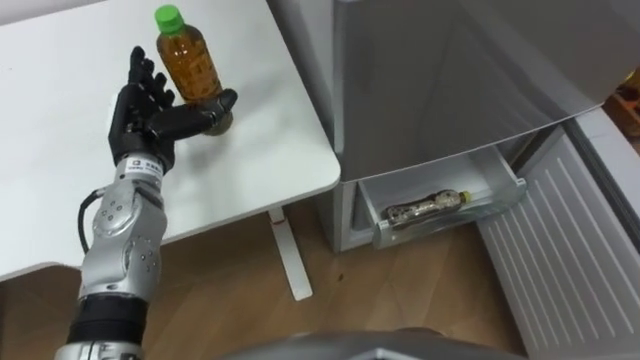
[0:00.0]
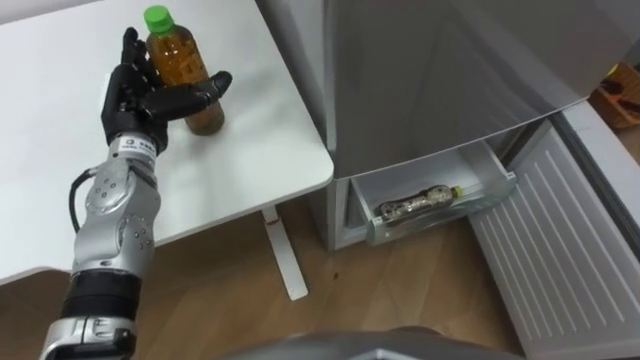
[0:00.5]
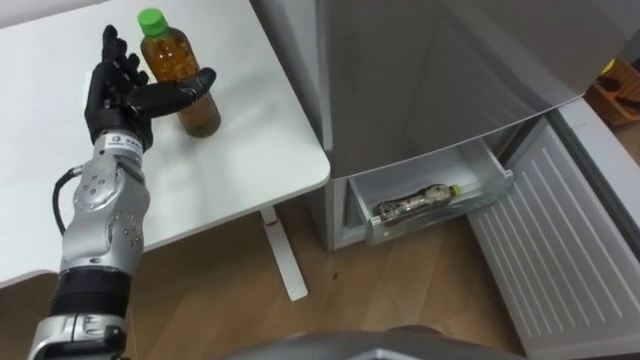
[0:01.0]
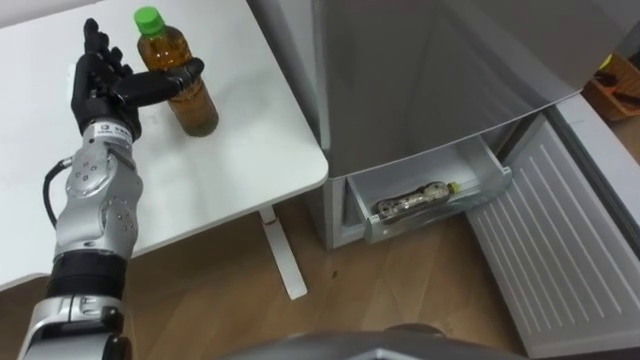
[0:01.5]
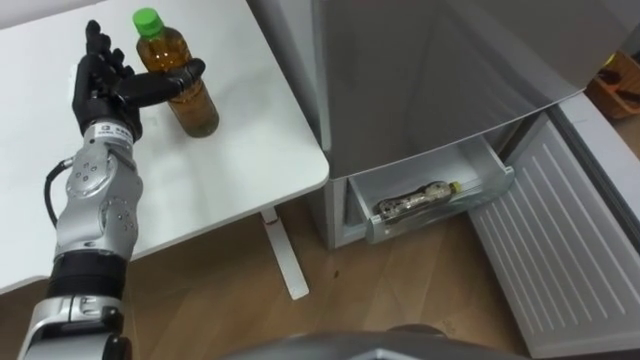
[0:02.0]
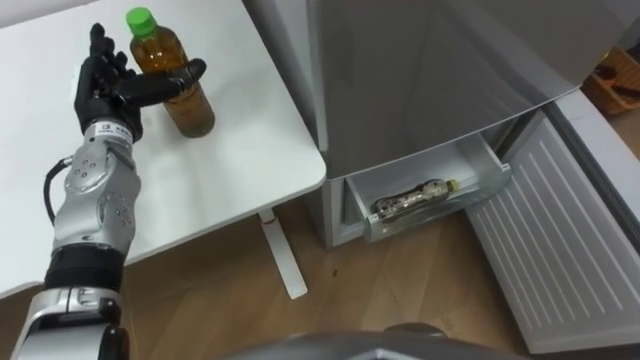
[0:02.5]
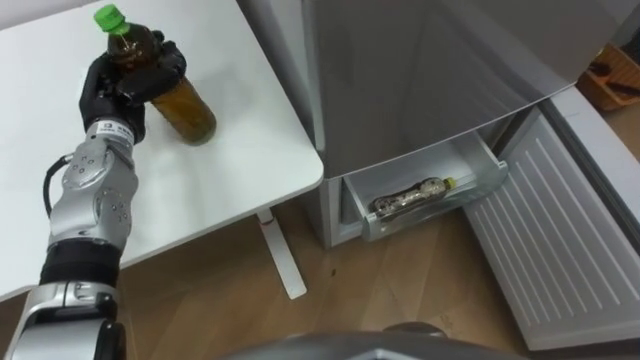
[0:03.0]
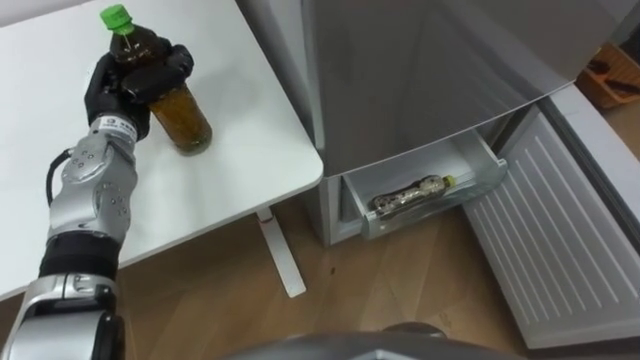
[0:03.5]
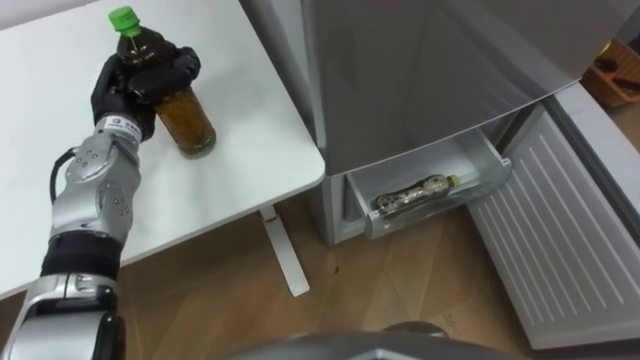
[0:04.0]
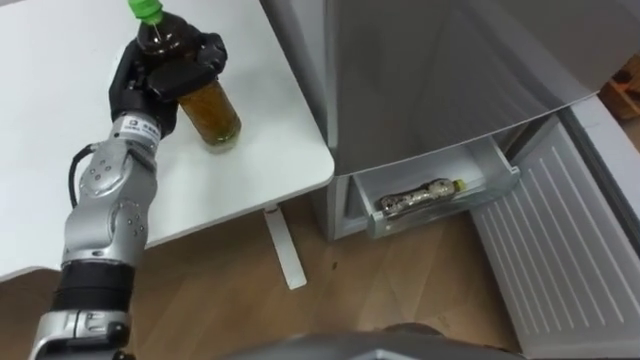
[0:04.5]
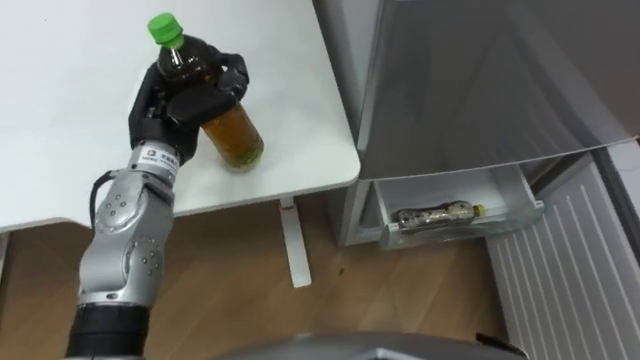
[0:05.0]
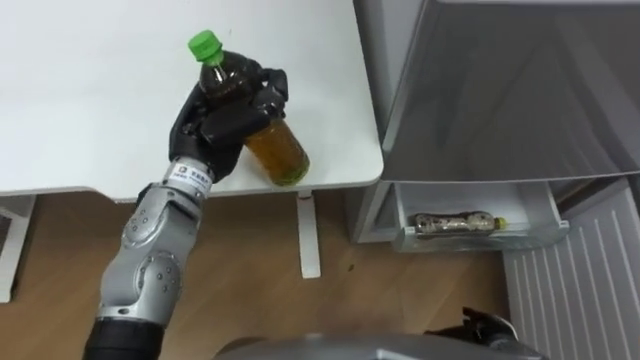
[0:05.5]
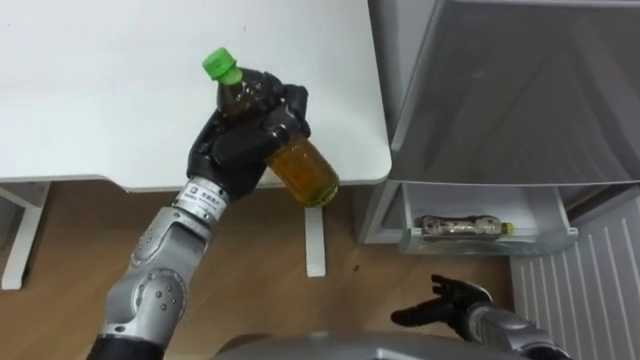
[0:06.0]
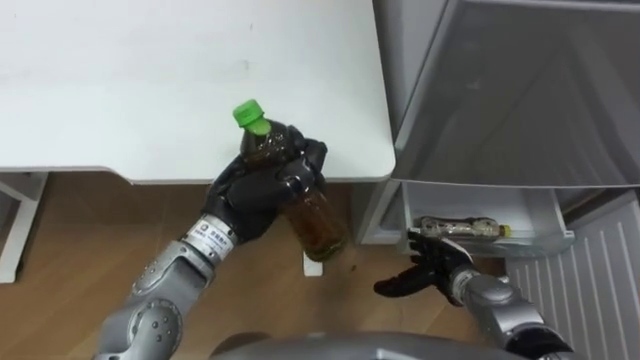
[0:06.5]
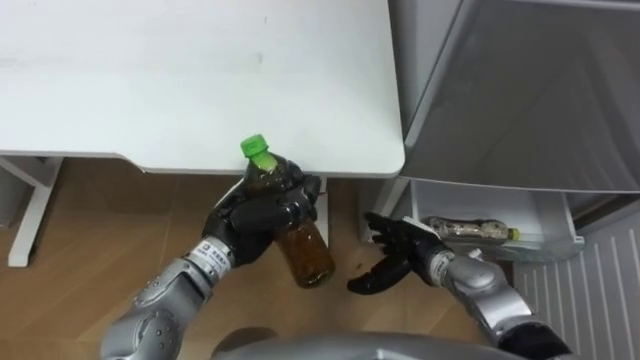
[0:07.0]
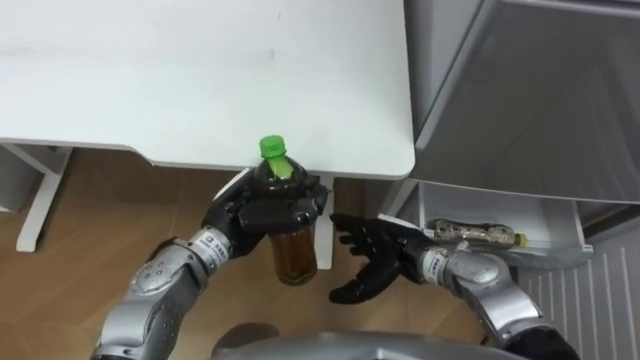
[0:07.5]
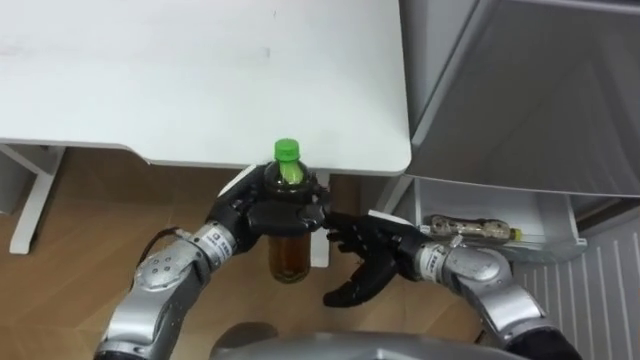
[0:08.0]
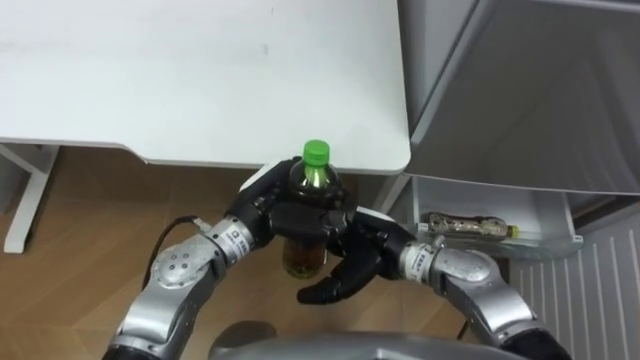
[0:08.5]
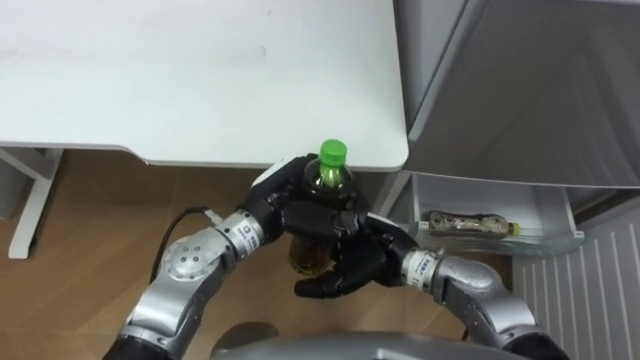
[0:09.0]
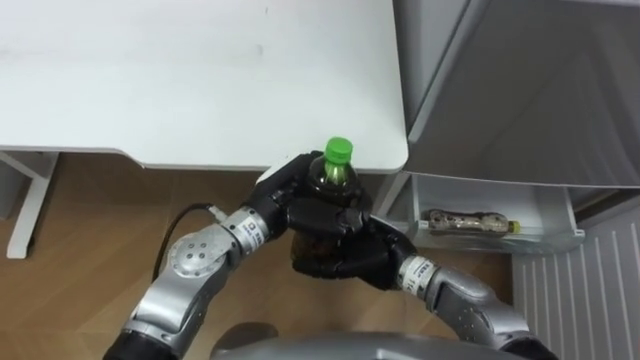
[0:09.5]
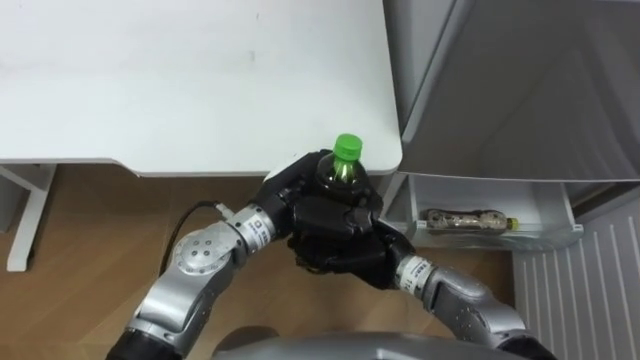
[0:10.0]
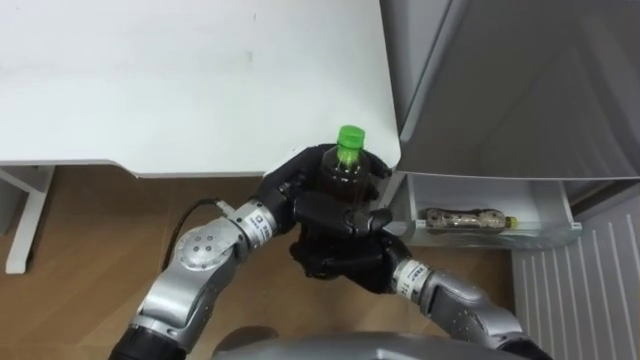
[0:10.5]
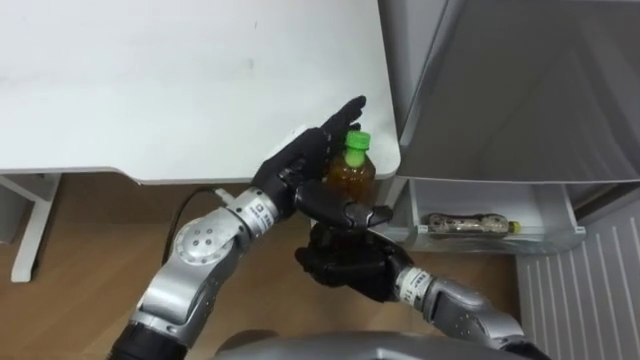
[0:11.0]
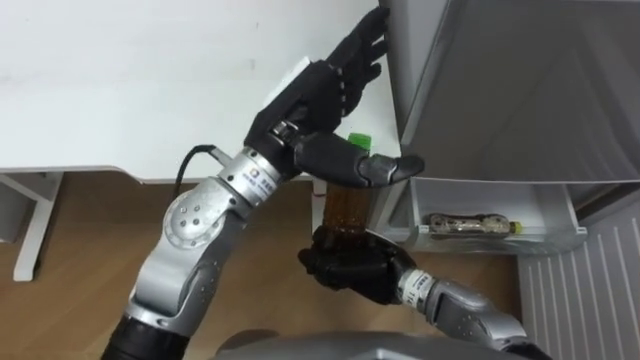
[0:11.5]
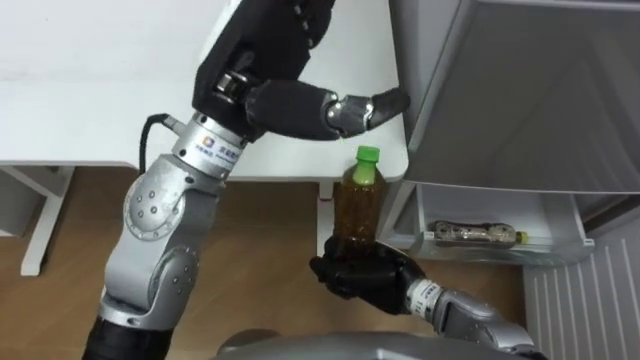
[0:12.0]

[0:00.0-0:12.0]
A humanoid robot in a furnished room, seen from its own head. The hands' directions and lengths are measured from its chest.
Task of the whole recording: Place the drink on the table on the bottom shelf of the refrigerator, then close the drawer and the refrigerator door.
0:00.0 to 0:02.0: The left hand moves approximately 5 cm.
0:02.0 to 0:04.0: The left hand closes its fingers.
0:04.0 to 0:06.0: The left hand is displaced to the right and backward by about 15 cm.
0:06.0 to 0:08.0: The right hand goes some 20 cm to the left, upward and forward; the left hand travels downward by approximately 10 cm.
0:08.0 to 0:10.0: The right hand closes up, while the left hand moves to the right, about 5 cm.
0:10.0 to 0:12.0: The left hand goes some 20 cm upward, and opens.

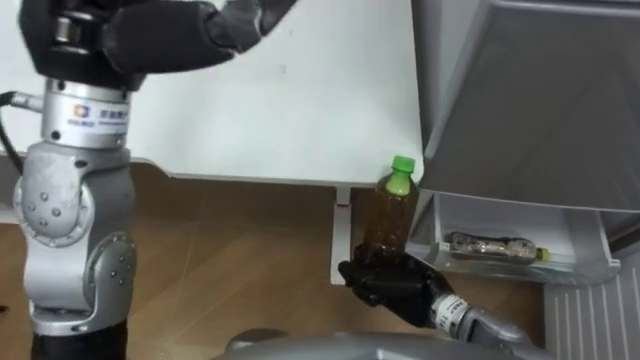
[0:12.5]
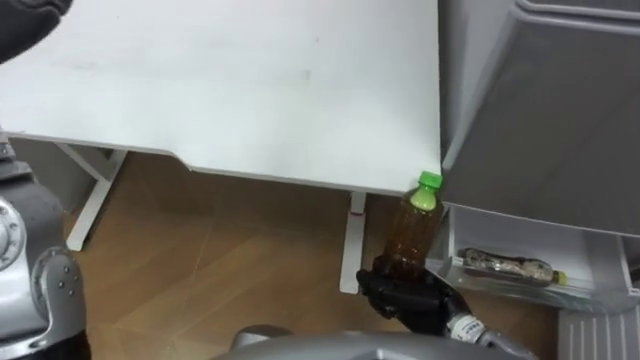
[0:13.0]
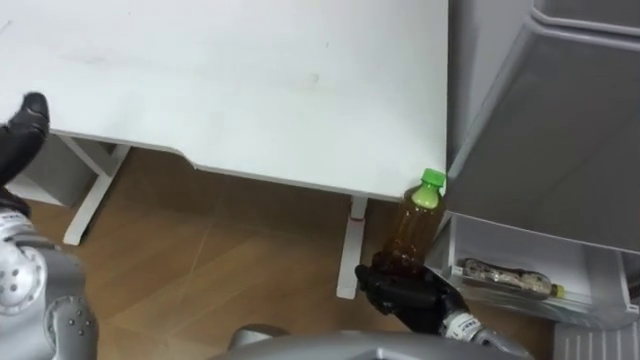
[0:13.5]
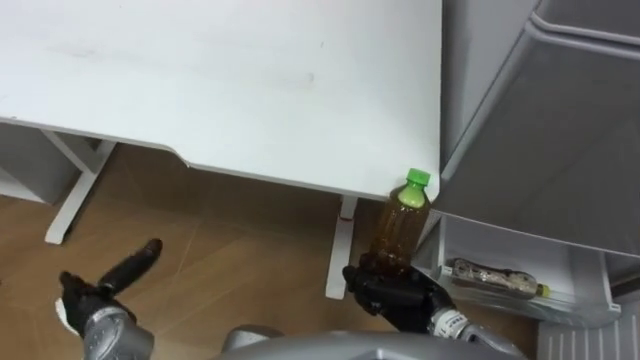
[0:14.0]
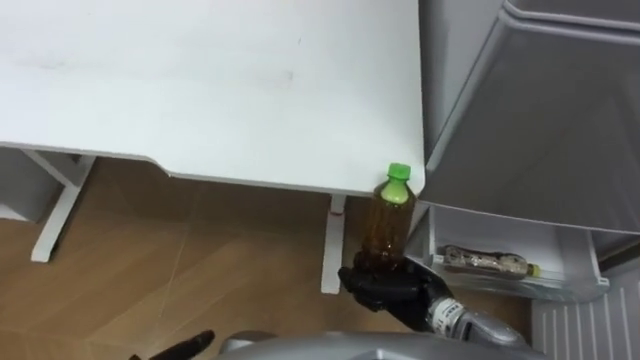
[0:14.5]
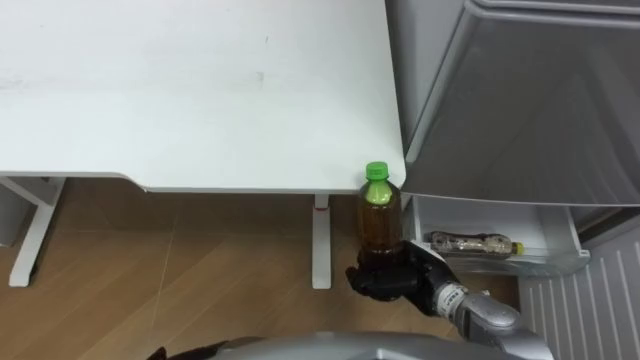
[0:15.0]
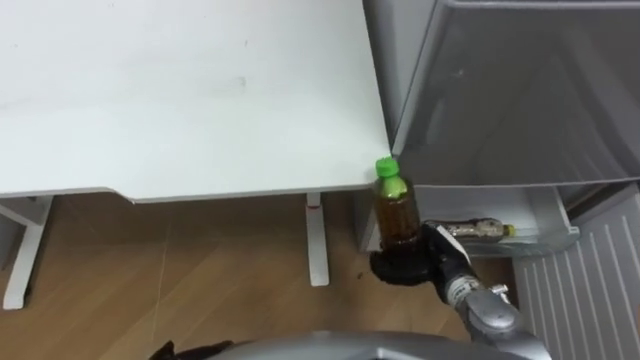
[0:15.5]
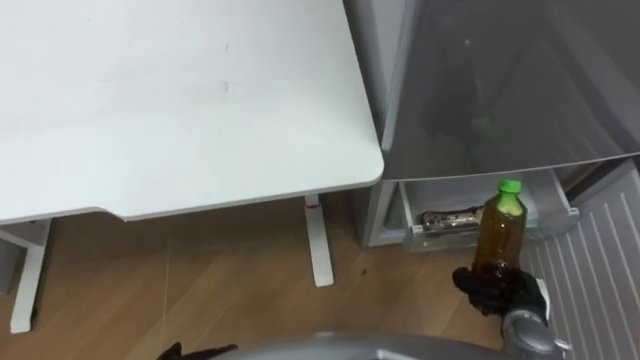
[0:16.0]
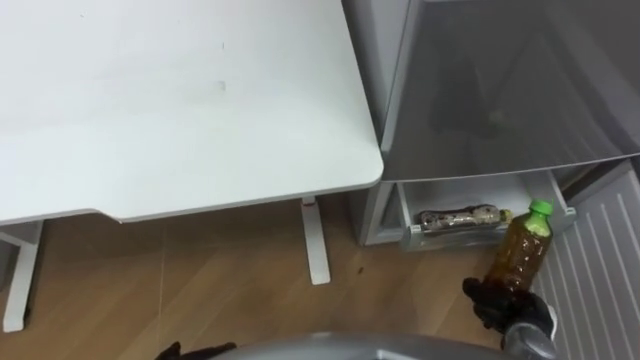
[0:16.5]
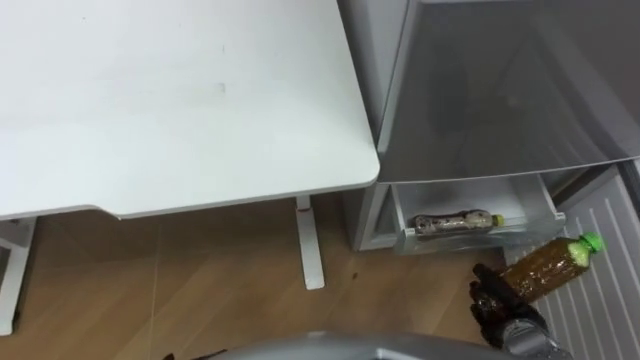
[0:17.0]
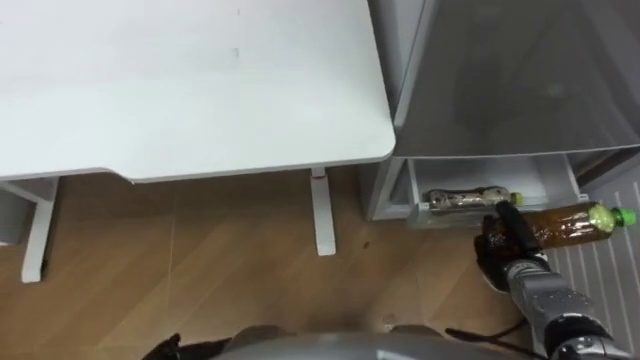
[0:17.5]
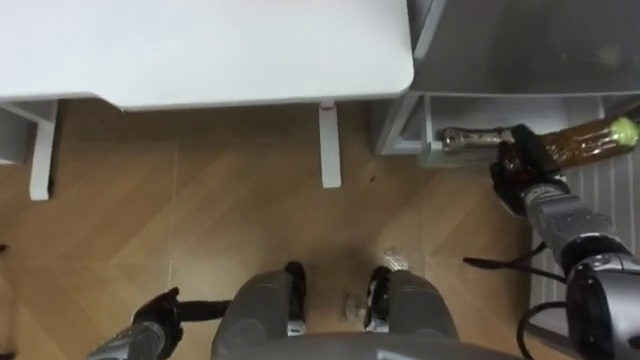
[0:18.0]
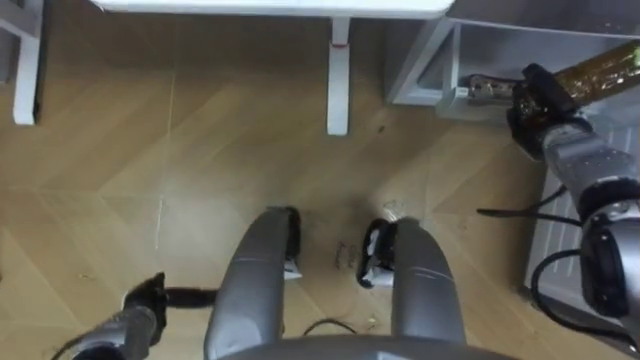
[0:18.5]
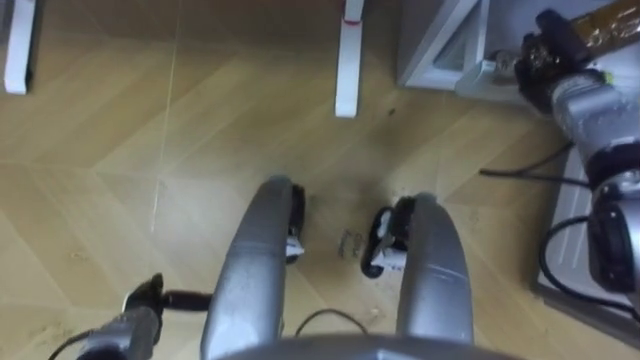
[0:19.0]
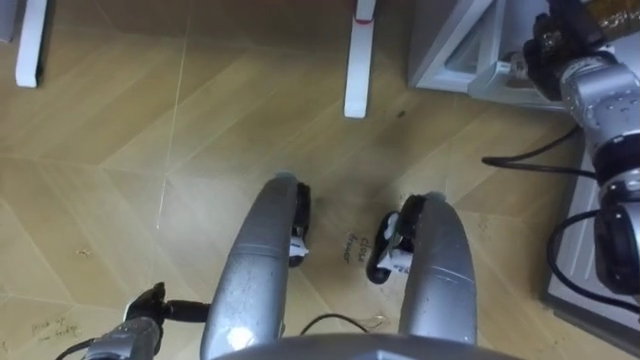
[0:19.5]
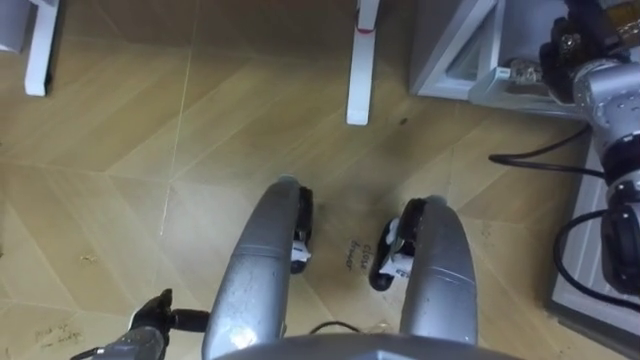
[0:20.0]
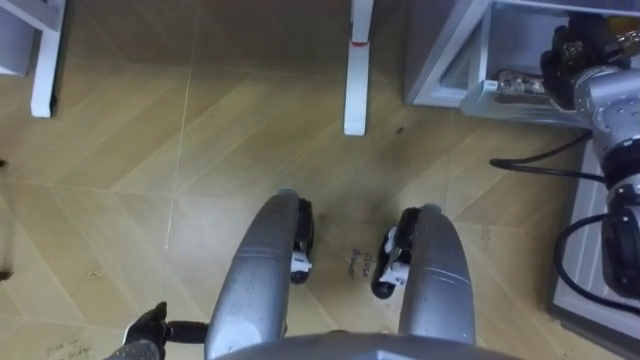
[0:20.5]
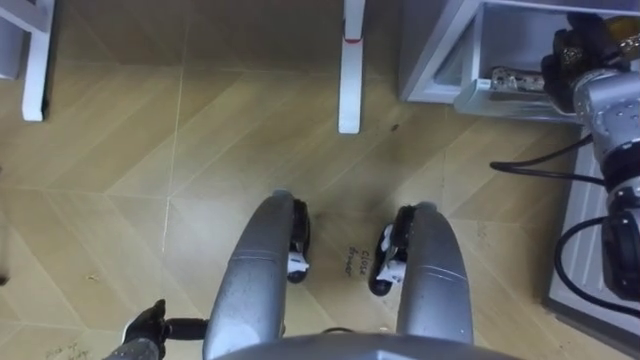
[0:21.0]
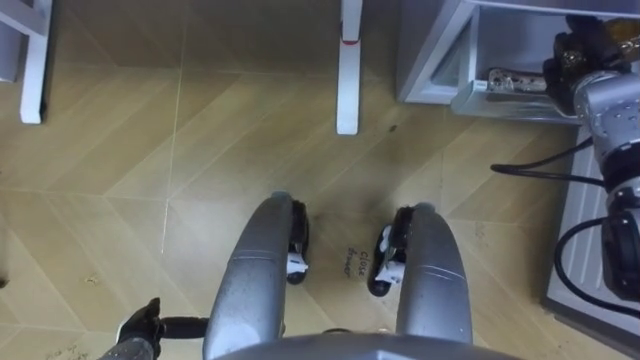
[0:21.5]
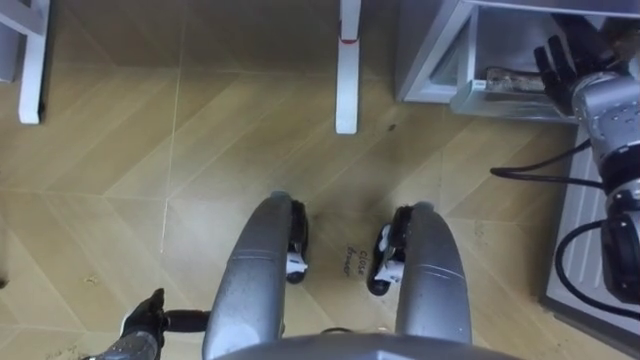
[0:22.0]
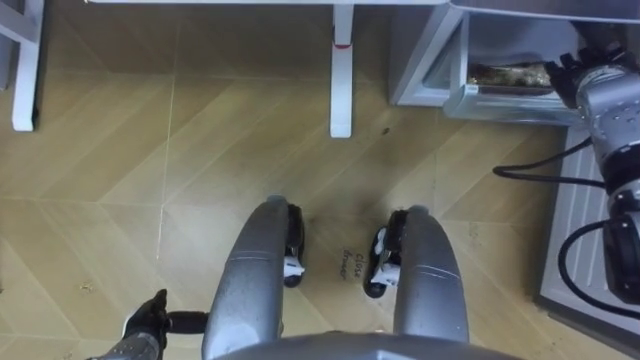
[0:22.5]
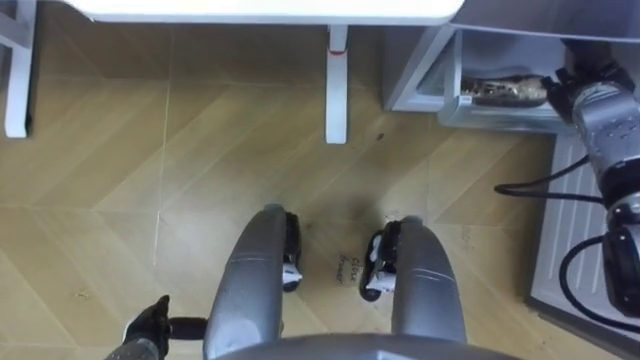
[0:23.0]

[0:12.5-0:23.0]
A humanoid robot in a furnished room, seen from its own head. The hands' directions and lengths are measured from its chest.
Task of the whole recording: Place the drink on the table on the bottom shelf of the refrigerator, then close the drawer and the refrigerator door.
0:14.5 to 0:16.5: The right hand is displaced to the right by approximately 15 cm.
0:16.5 to 0:19.0: The right hand moves forward and upward, approximately 35 cm.
0:21.0 to 0:23.0: The right hand opens up.
